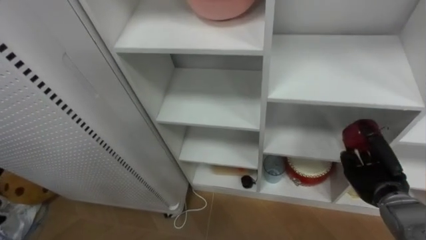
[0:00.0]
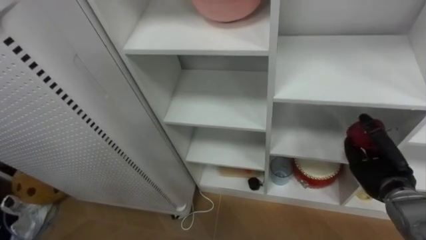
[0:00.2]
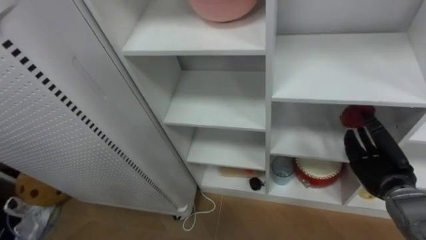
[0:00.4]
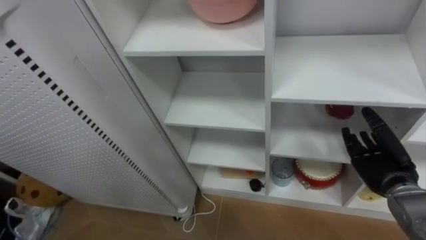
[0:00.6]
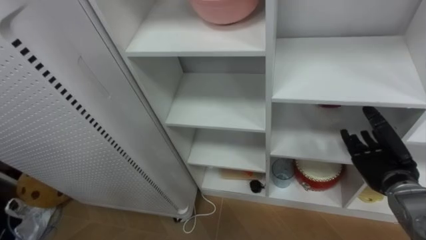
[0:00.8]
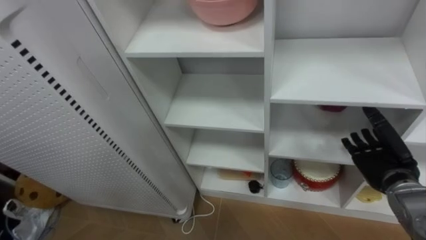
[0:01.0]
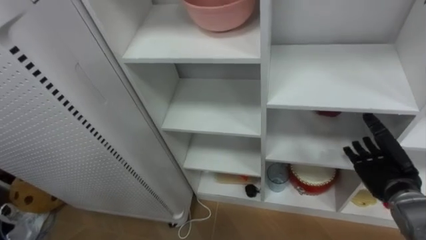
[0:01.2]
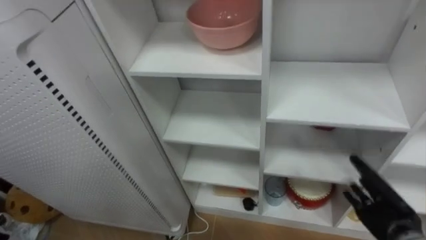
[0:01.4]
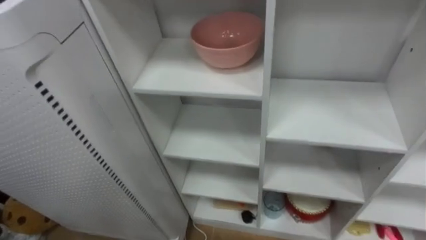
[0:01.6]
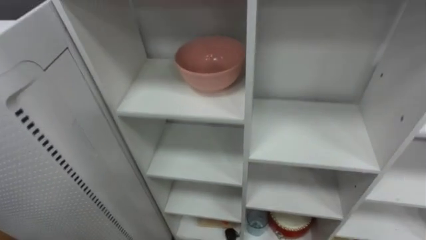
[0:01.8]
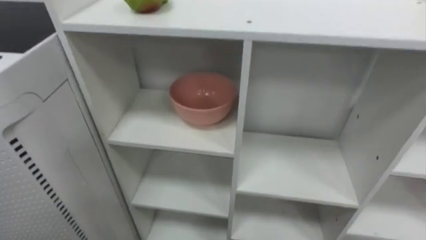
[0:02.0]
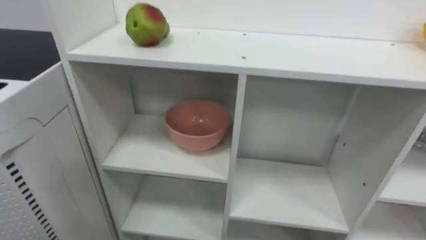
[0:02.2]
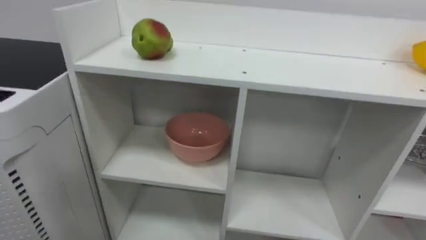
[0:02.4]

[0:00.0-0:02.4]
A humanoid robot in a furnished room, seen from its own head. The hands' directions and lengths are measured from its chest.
Task of the whole recording: Put the apple in the cell in the second column from the left and the second row from the top.
0:00.0 to 0:01.2: The right hand opens.

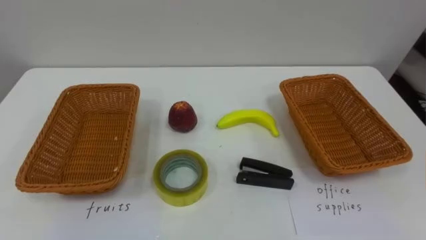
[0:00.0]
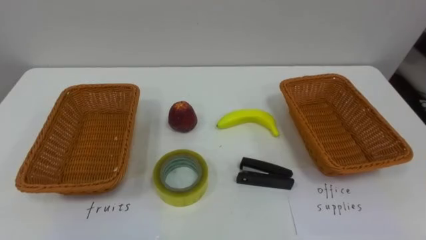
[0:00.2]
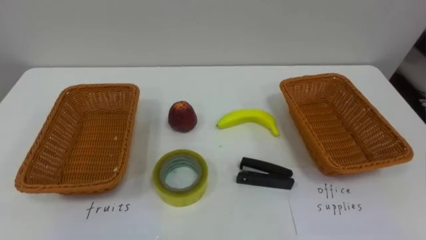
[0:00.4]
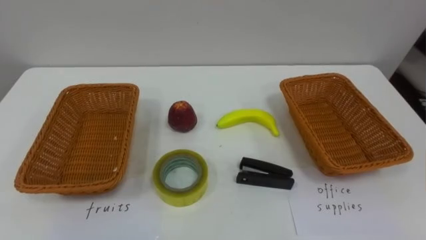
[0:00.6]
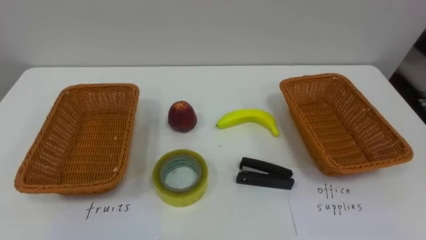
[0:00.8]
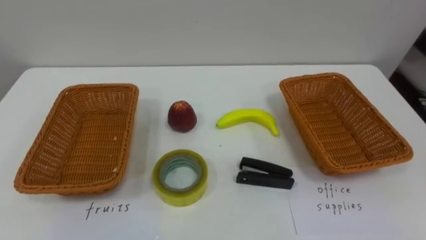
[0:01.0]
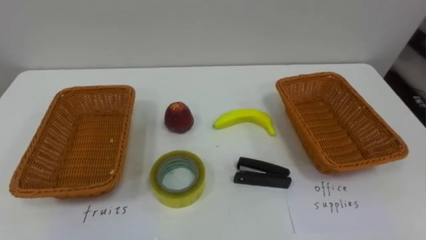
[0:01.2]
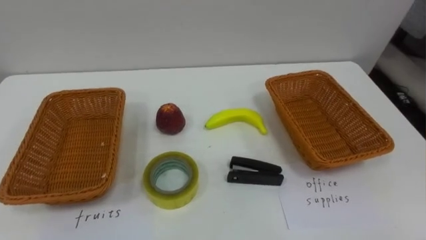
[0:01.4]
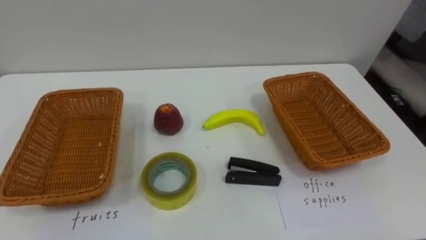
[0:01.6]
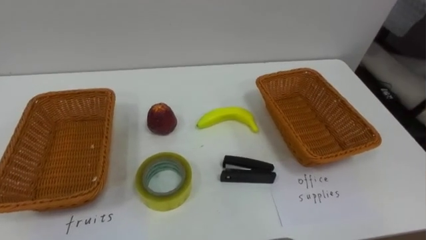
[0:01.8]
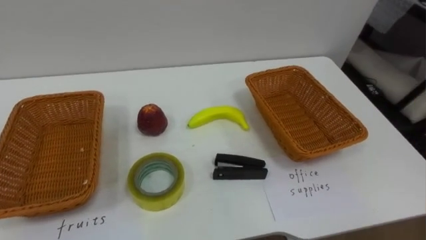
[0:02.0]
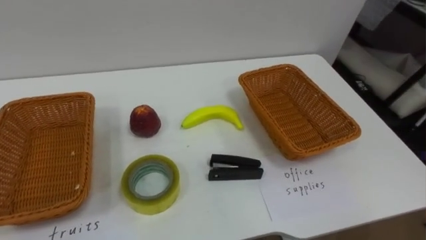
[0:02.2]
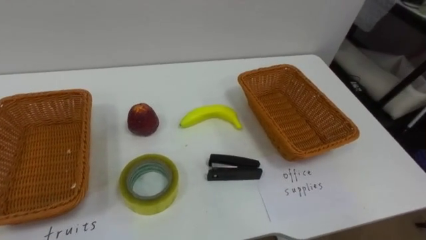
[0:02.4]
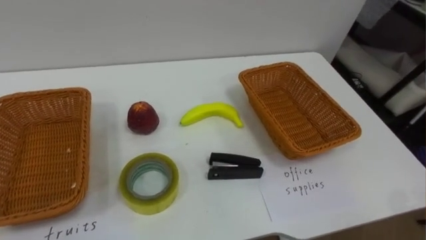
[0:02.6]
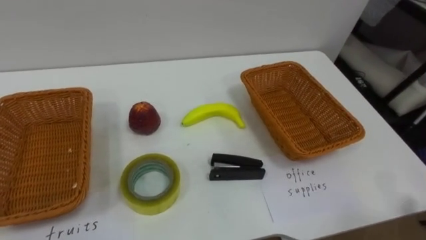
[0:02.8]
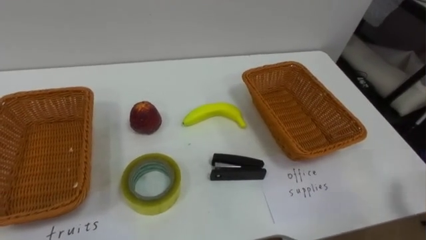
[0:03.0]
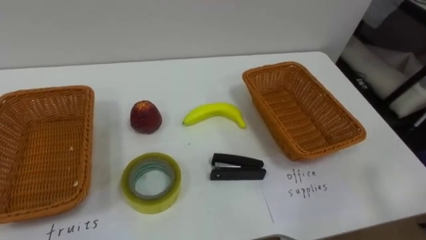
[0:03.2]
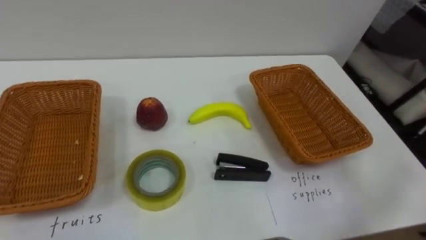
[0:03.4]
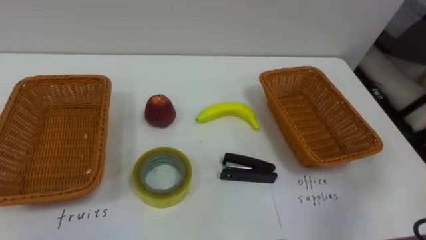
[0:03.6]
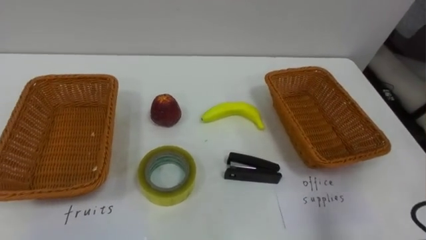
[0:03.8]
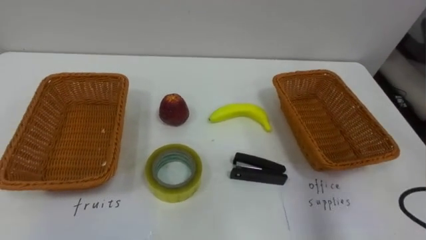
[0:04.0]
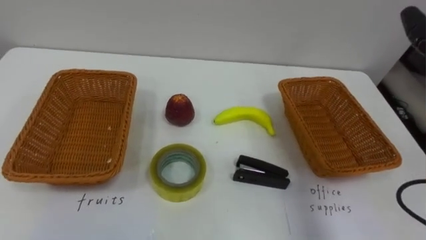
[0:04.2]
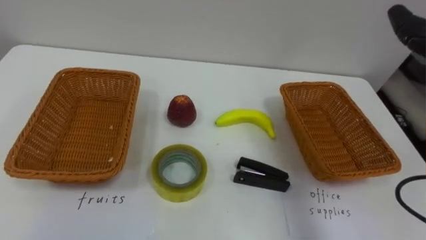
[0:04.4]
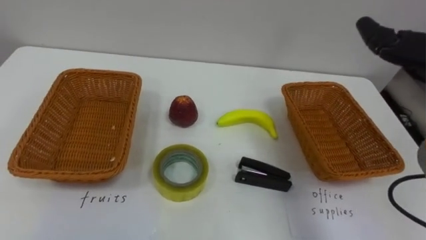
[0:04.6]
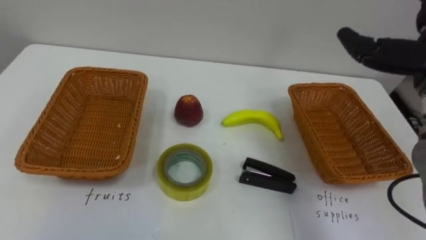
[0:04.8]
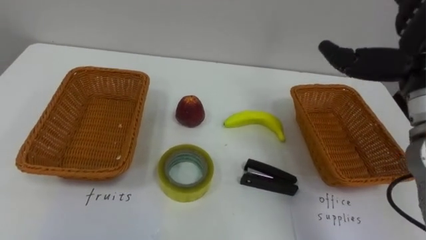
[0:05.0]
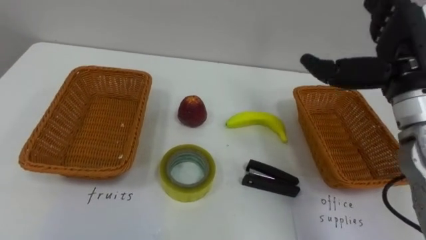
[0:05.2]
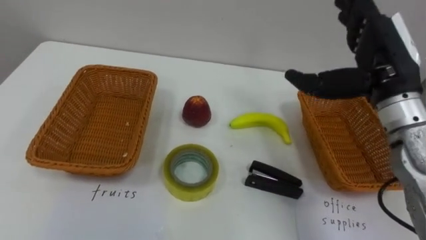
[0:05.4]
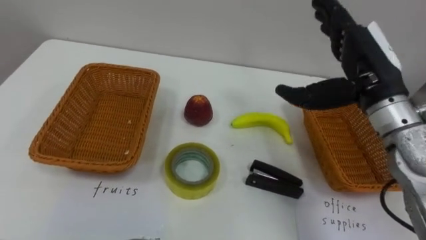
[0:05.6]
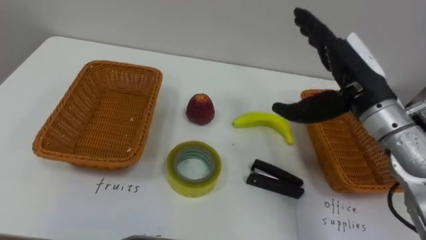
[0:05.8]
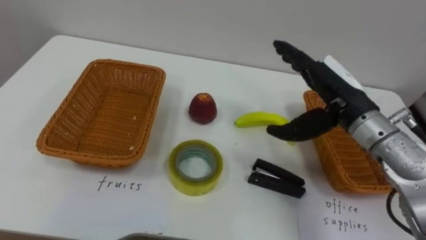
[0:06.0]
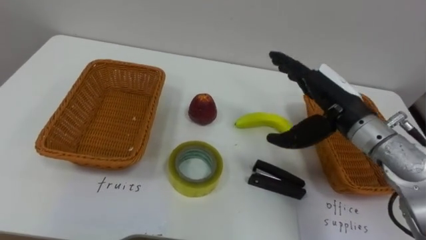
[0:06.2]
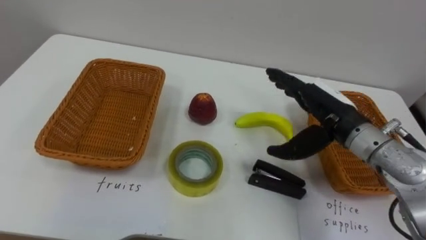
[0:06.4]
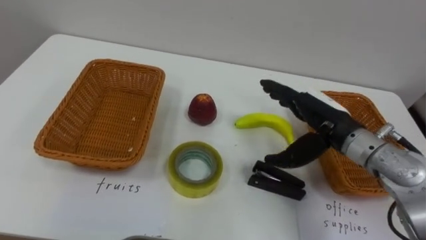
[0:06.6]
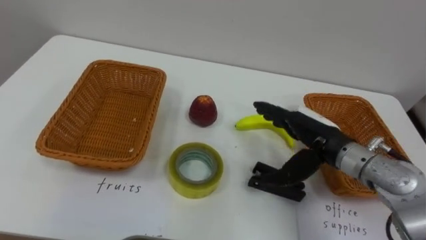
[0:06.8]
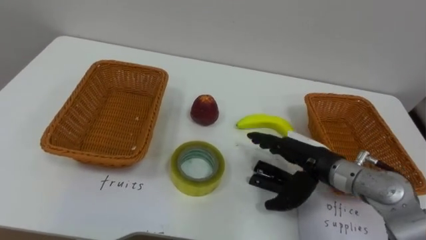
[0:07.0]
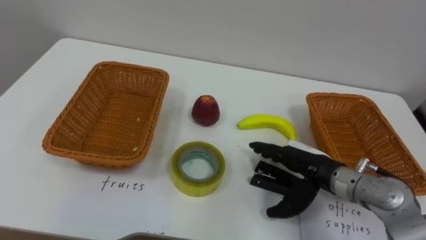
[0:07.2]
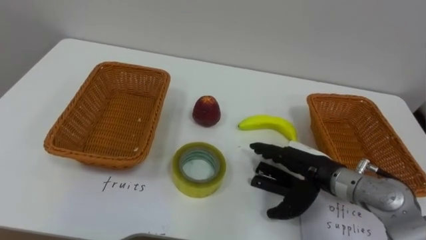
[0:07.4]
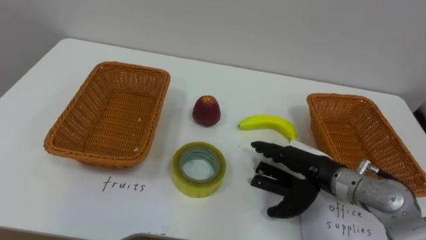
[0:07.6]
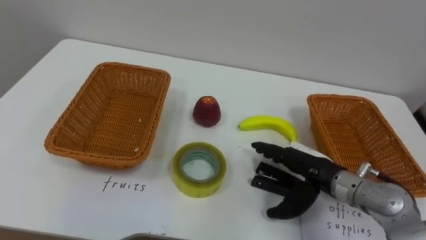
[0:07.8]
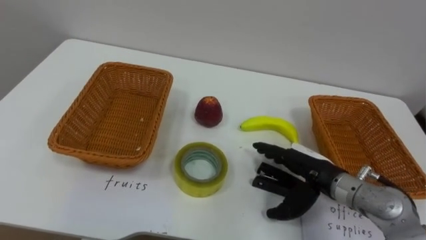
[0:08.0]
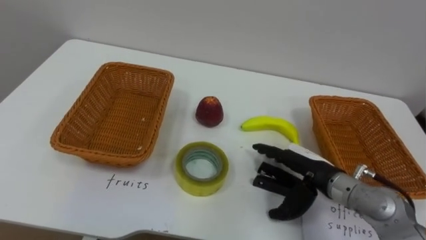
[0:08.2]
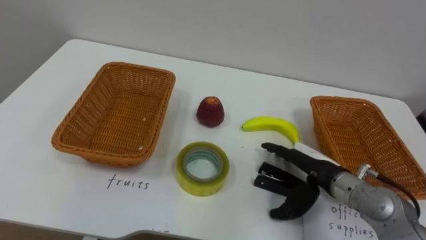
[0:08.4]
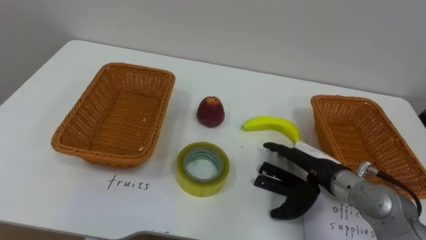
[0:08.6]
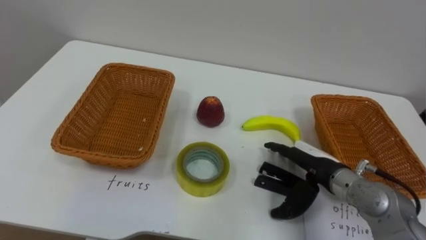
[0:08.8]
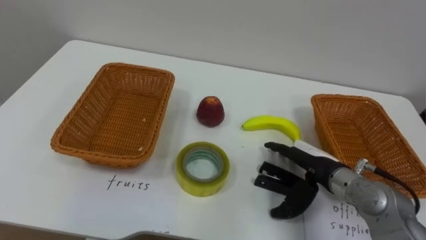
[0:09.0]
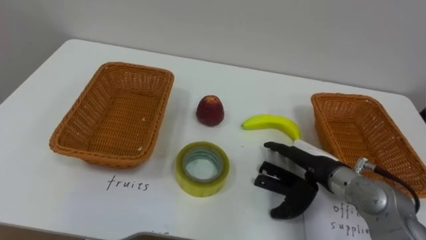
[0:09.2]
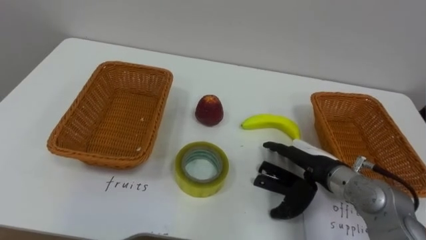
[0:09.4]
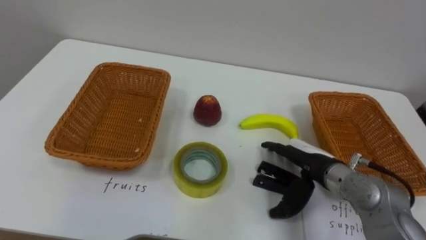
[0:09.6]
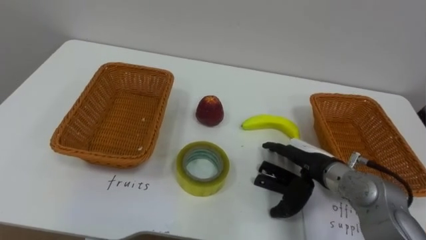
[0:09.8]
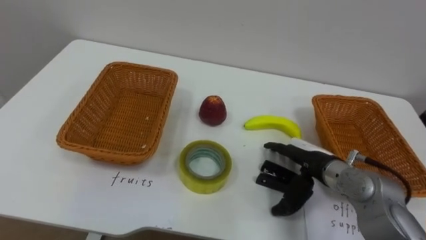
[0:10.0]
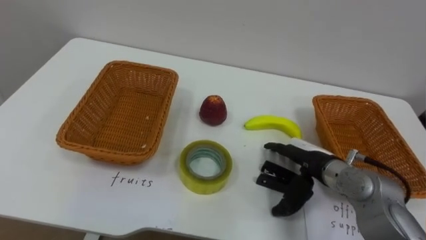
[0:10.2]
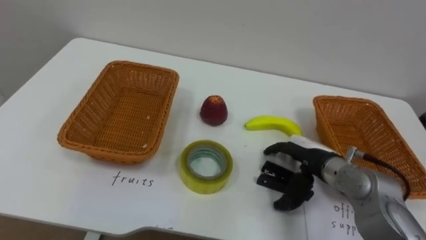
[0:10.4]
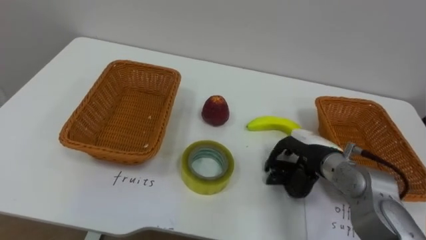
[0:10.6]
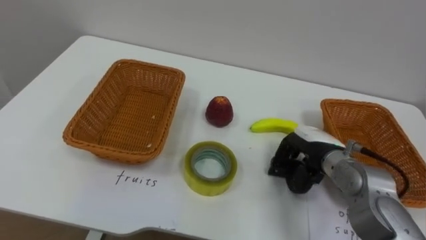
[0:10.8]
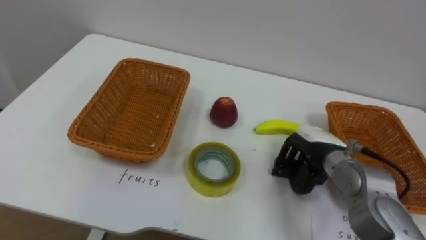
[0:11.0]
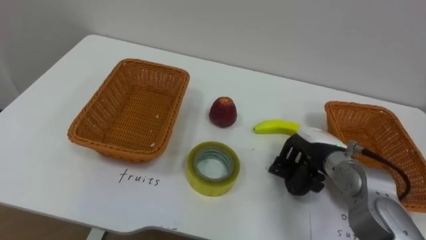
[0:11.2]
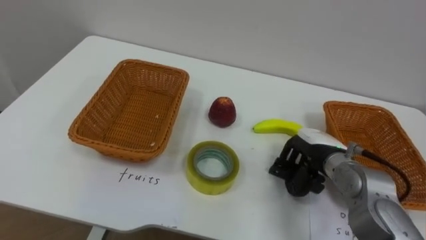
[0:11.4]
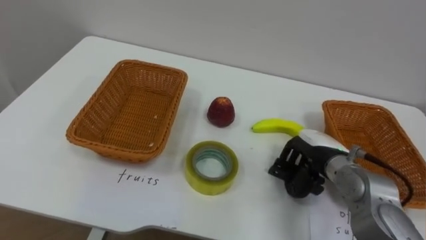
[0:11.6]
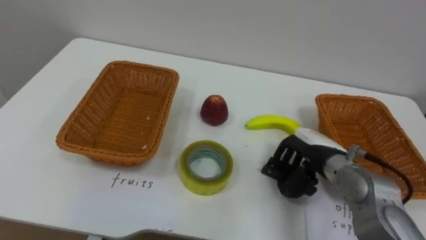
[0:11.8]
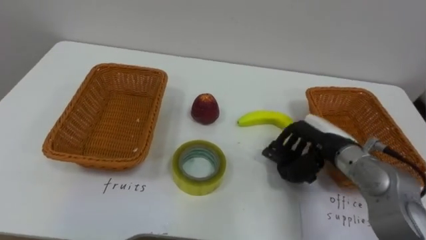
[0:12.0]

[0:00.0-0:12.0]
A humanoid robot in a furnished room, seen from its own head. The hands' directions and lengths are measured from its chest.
Task of the whole recording: Separate the items on the table and place them into the two baskets.
0:06.0 to 0:07.6: The right hand shifts roughly 15 cm downward.
0:10.4 to 0:12.0: The right hand shifts by approximately 5 cm, and closes its fingers.

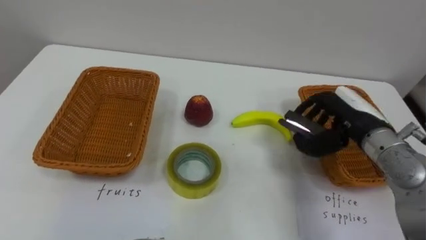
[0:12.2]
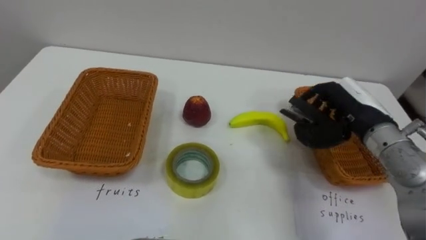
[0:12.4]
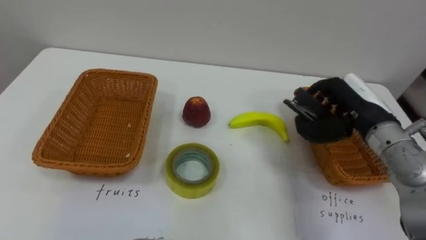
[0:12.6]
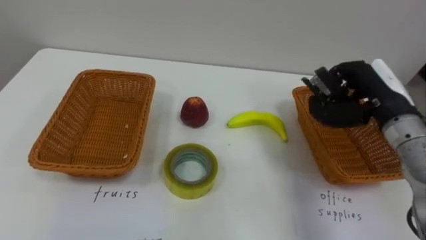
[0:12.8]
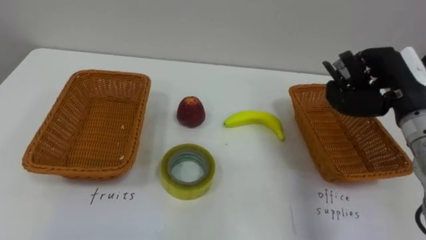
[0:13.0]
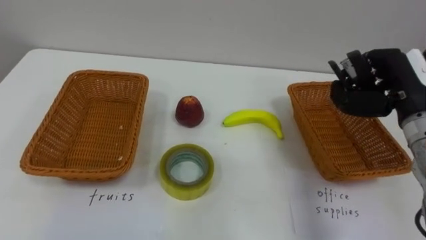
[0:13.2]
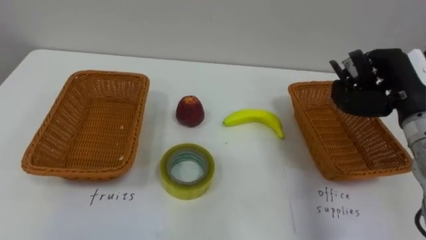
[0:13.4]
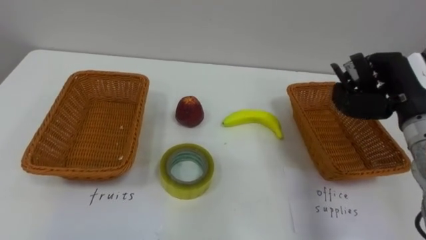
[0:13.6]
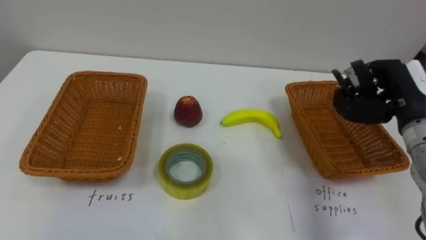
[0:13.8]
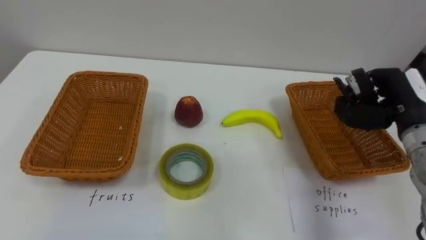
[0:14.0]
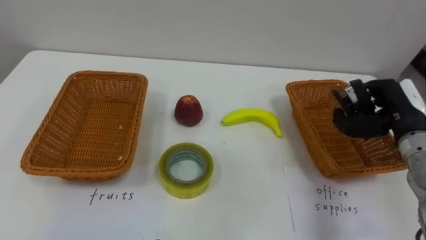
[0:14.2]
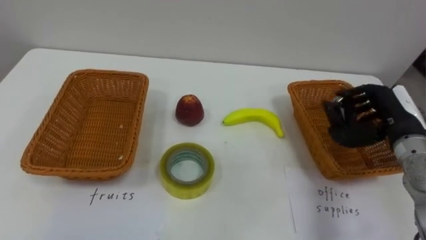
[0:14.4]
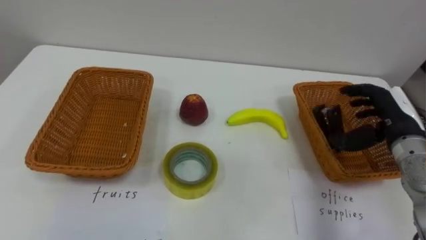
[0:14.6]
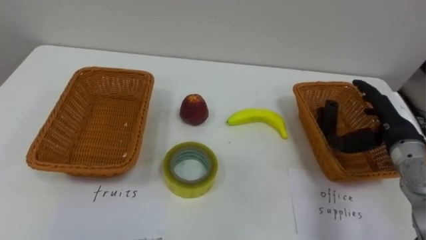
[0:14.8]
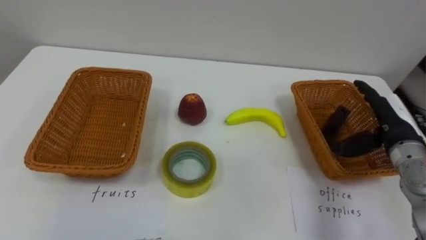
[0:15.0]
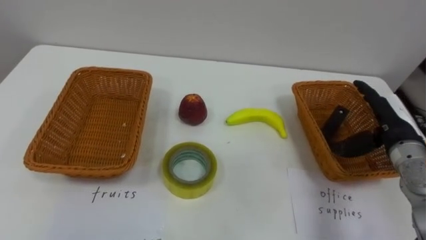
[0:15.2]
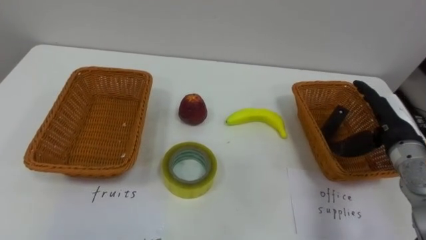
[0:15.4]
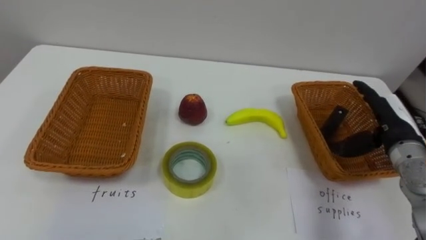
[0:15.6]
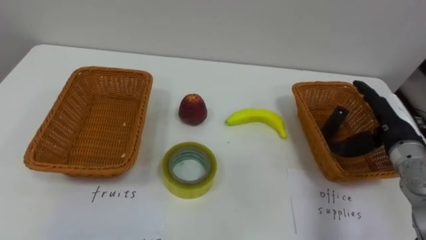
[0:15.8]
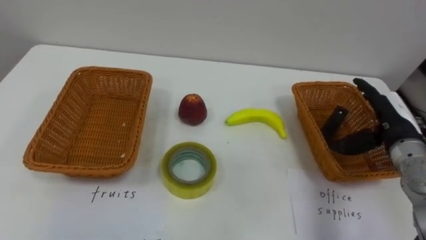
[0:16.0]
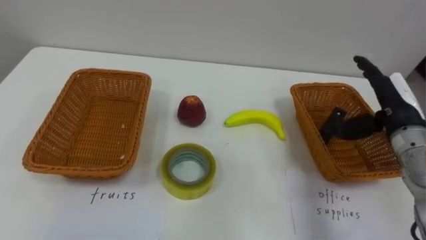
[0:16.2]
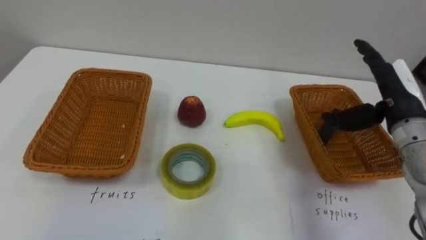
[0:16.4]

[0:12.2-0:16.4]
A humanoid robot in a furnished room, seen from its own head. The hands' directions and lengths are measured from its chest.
Task of the whole recording: Separate the items on the table and place them into the two baskets.
0:12.2 to 0:13.6: The right hand travels to the right by approximately 5 cm.
0:13.6 to 0:15.0: The right hand travels downward by approximately 10 cm, and opens its fingers.
0:15.0 to 0:16.4: The right hand moves upward, roughly 5 cm.
